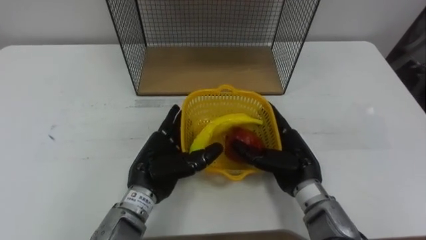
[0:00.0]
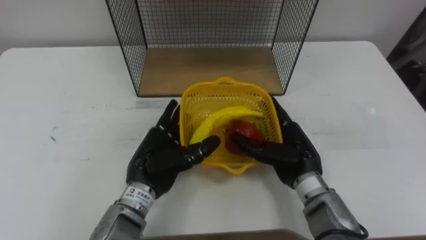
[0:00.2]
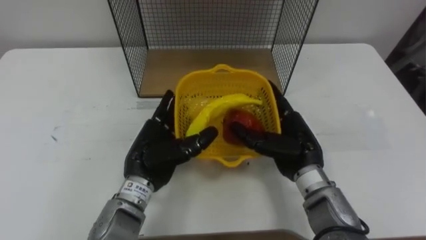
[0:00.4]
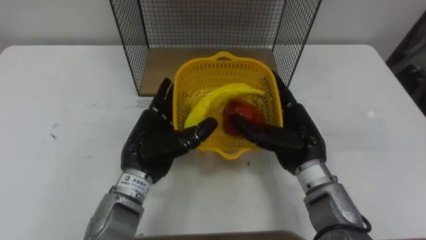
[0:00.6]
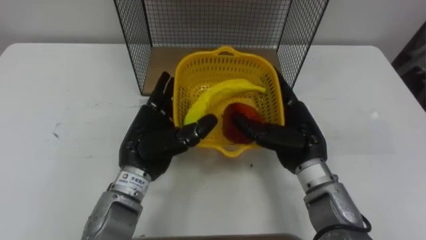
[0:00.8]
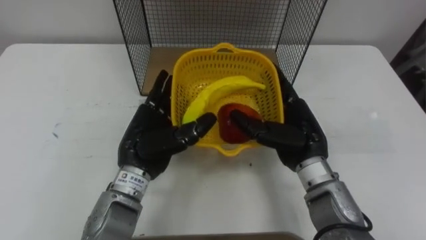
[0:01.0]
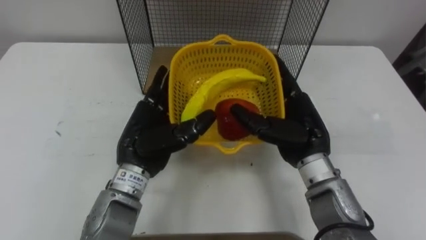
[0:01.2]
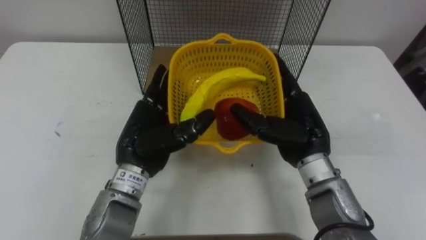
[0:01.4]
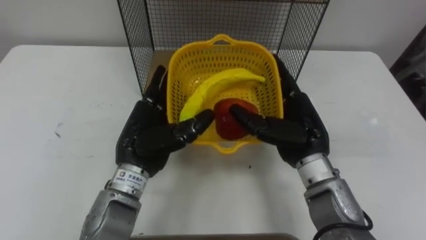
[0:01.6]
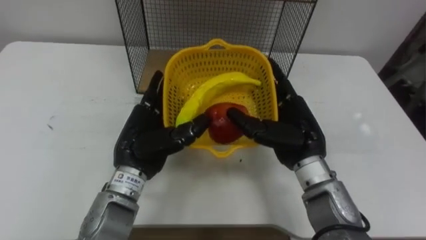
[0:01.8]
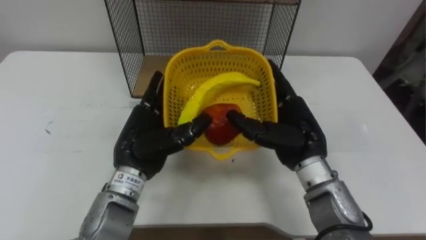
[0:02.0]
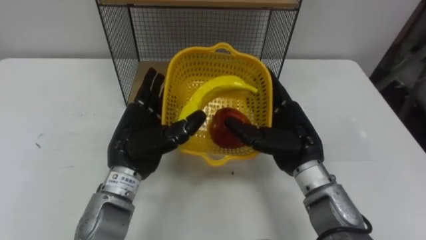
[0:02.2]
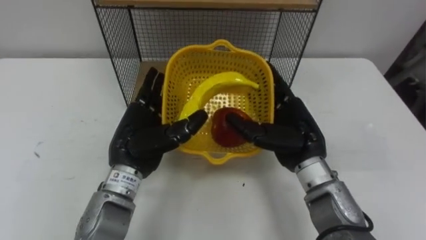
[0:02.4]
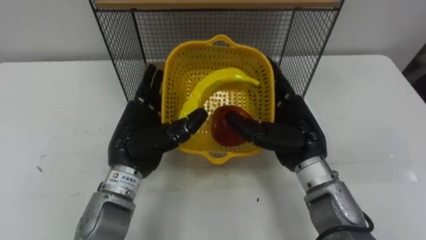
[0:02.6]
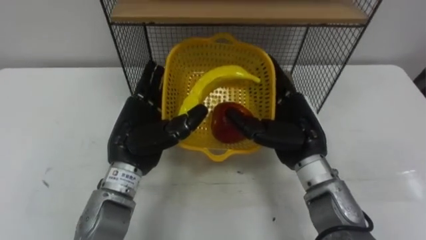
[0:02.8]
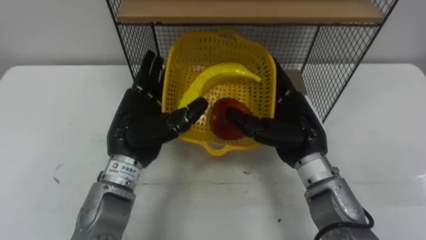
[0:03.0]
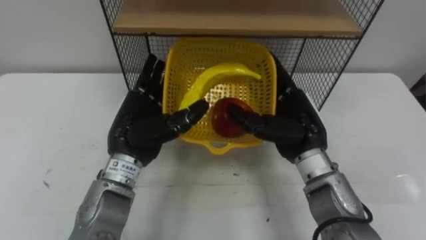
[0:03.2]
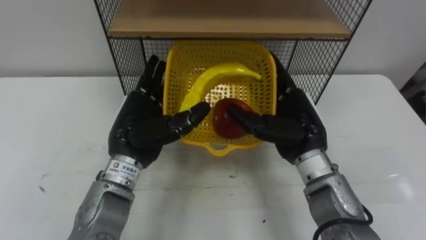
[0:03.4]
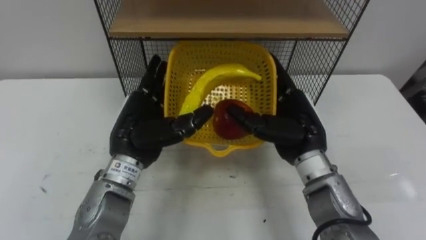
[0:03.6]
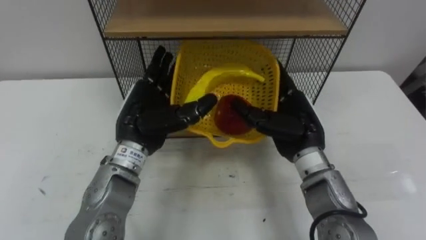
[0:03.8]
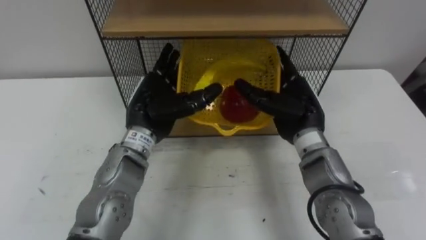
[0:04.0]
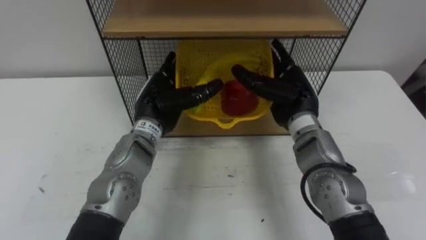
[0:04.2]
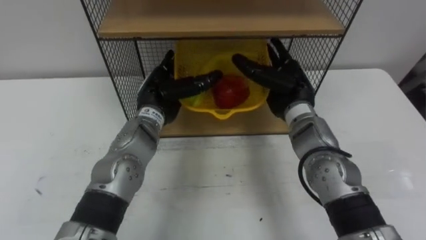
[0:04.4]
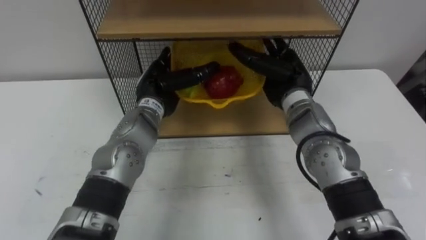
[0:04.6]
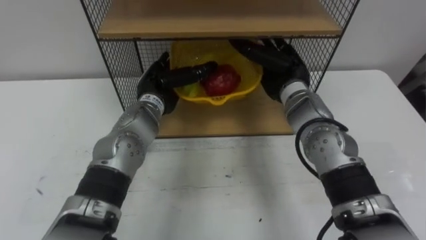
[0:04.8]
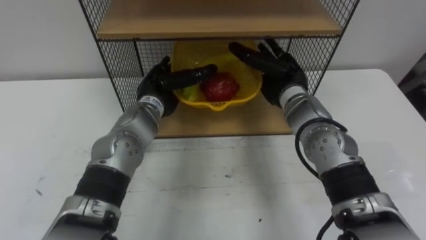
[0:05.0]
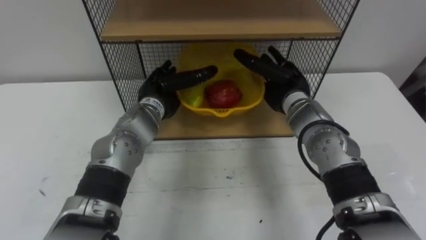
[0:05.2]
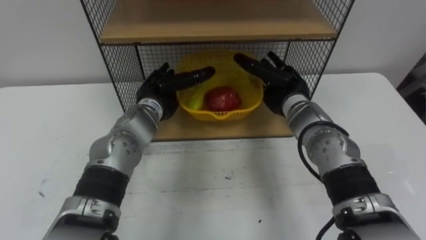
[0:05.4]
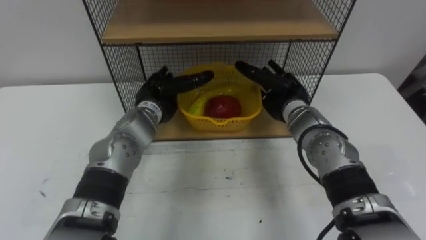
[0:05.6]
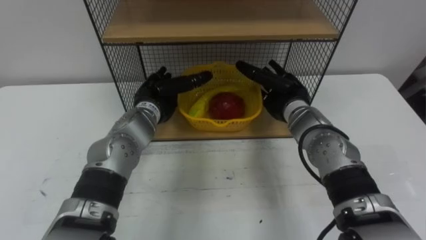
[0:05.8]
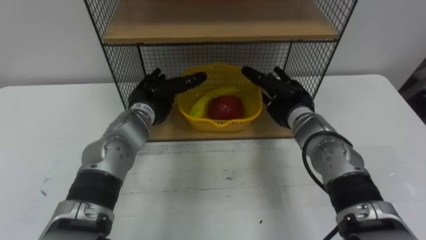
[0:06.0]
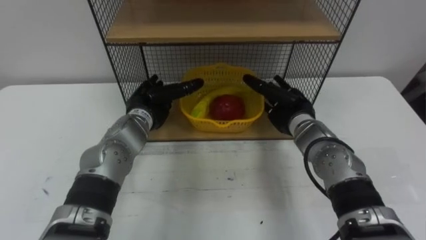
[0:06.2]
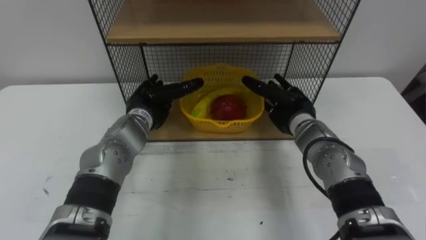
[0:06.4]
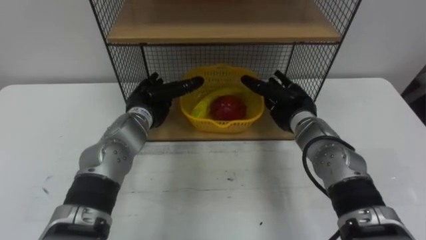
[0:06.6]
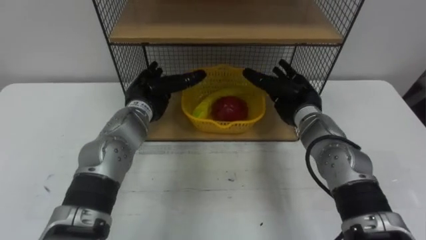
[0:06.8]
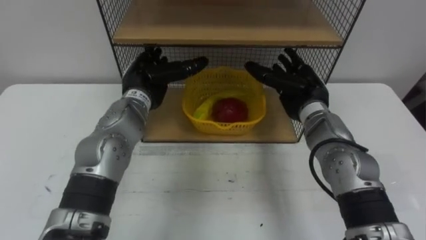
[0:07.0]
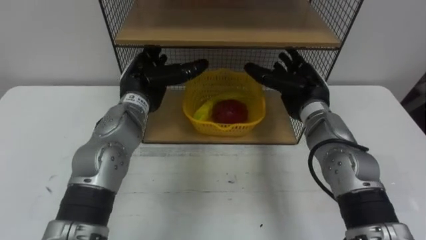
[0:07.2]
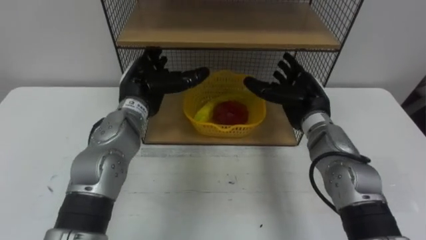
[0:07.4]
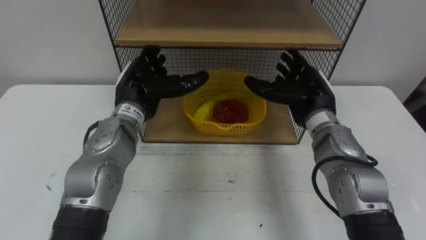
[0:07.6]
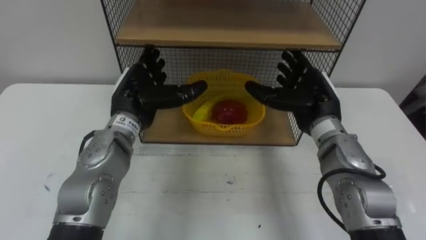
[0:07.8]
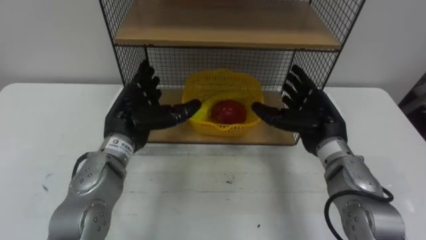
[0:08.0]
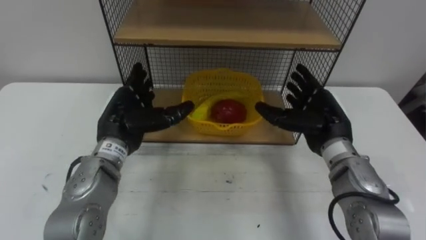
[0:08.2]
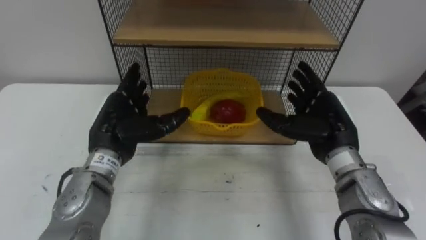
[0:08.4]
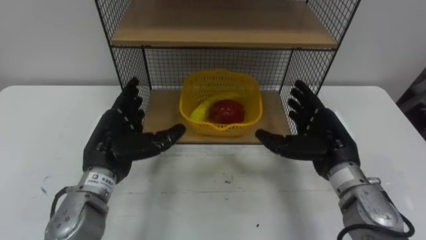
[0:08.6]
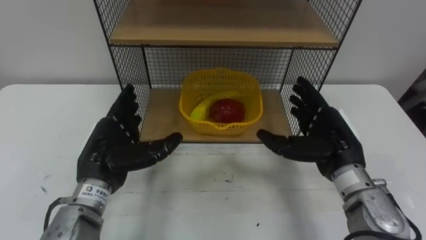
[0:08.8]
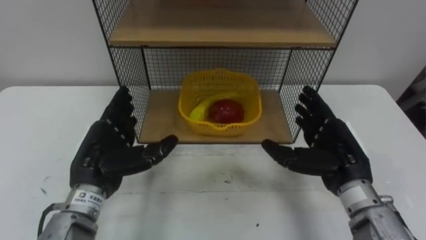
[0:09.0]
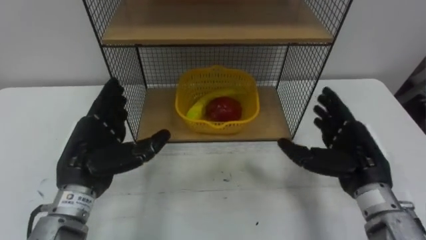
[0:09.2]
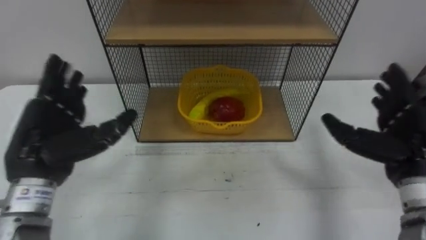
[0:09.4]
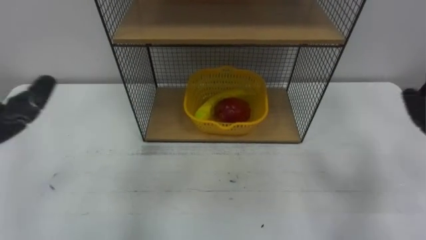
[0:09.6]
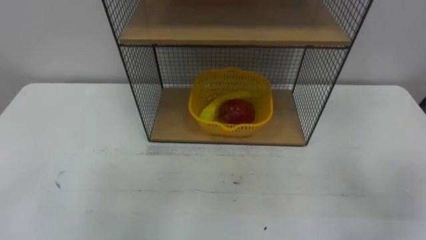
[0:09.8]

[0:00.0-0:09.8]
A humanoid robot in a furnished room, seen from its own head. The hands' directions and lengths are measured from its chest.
Task of the whole recording: Put the fruit on the table into the basket, then place the basket on the shelf.
0:00.0 to 0:01.4: The hands both shift upward by roughly 5 cm.
0:02.8 to 0:04.2: The hands both shift forward by about 10 cm.
0:04.2 to 0:05.6: The right hand ends up approximately 5 cm from where it was.
0:07.0 to 0:08.4: The hands both shift backward by about 10 cm.

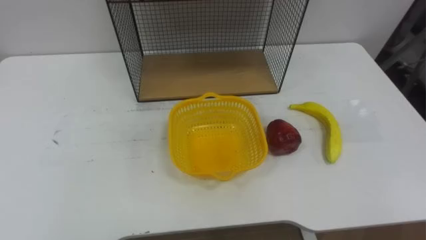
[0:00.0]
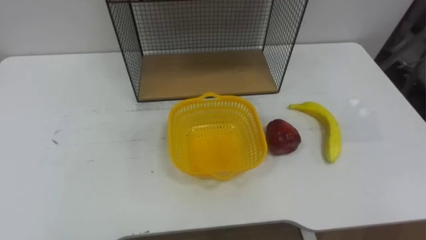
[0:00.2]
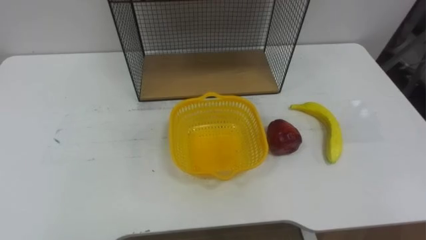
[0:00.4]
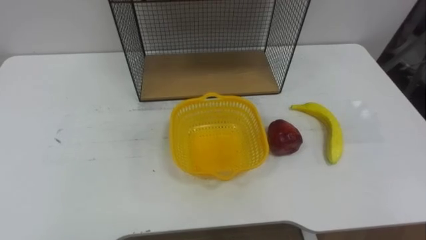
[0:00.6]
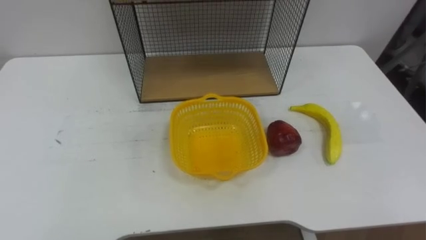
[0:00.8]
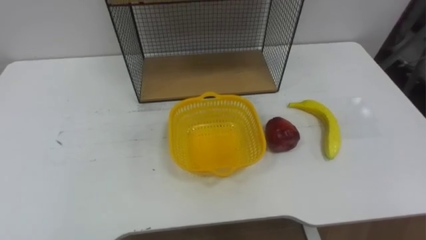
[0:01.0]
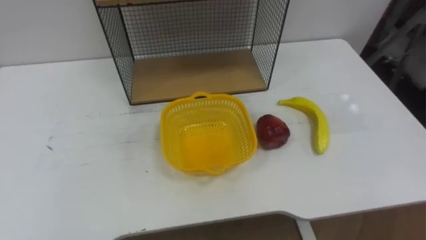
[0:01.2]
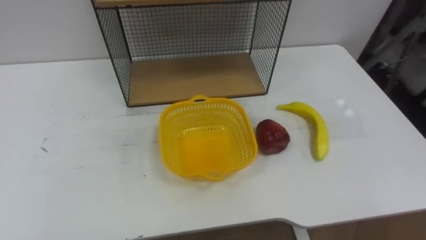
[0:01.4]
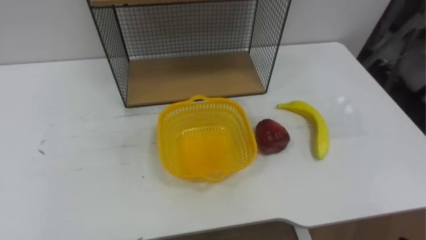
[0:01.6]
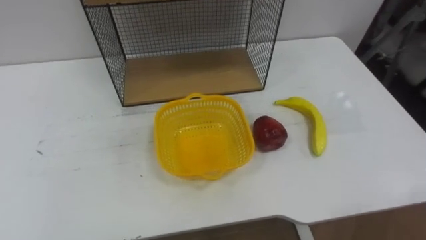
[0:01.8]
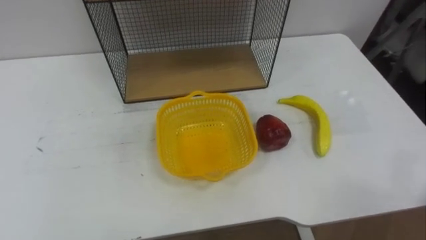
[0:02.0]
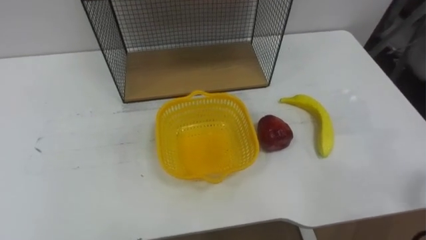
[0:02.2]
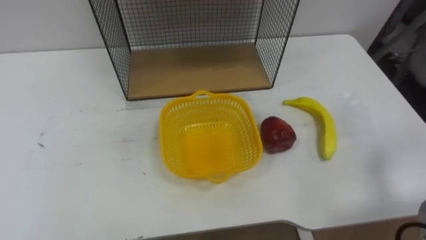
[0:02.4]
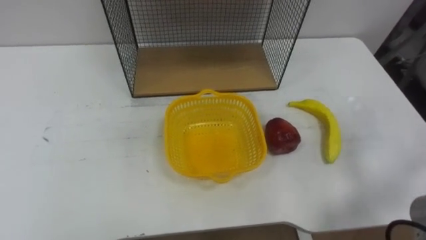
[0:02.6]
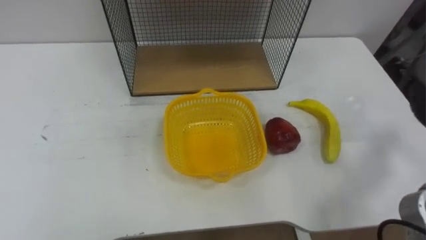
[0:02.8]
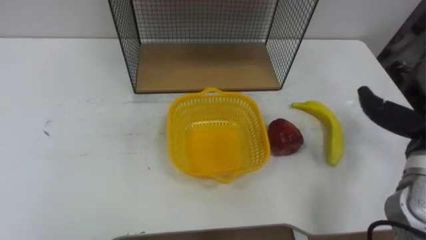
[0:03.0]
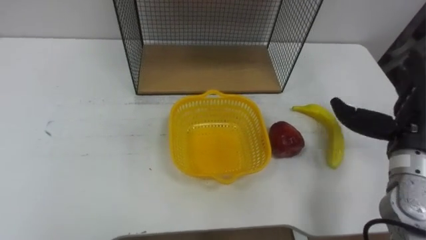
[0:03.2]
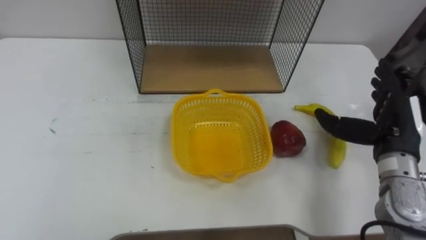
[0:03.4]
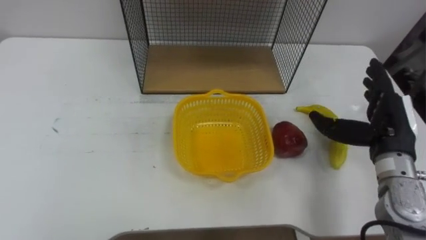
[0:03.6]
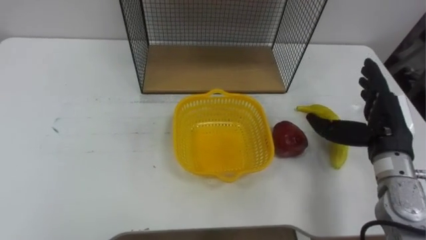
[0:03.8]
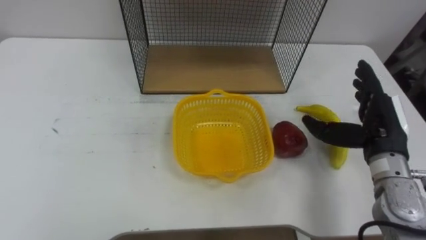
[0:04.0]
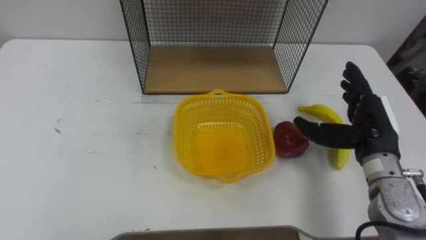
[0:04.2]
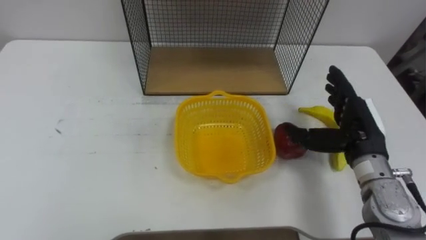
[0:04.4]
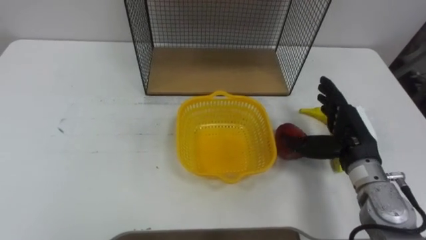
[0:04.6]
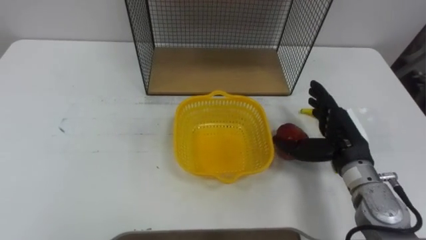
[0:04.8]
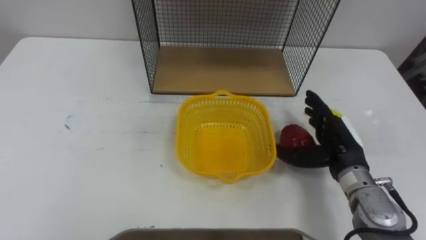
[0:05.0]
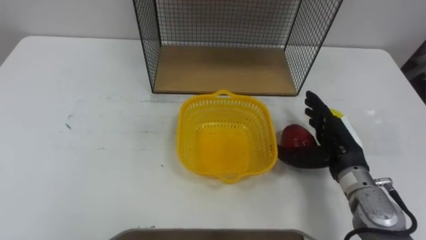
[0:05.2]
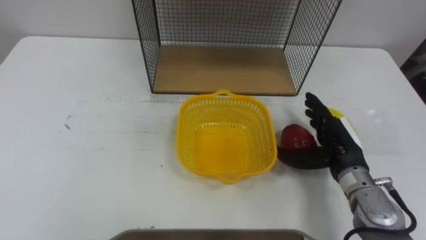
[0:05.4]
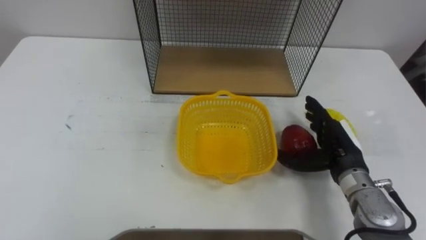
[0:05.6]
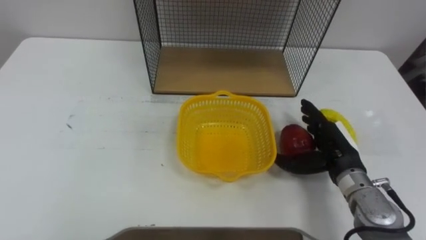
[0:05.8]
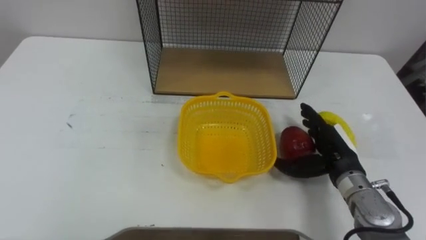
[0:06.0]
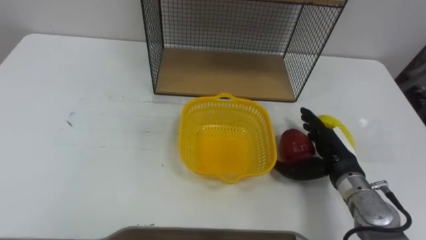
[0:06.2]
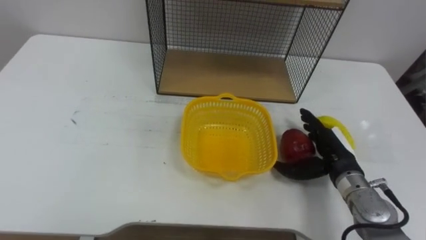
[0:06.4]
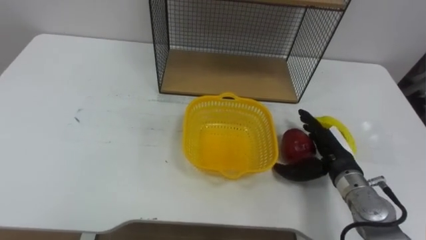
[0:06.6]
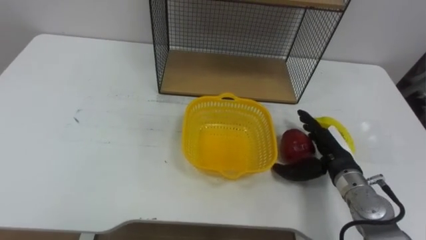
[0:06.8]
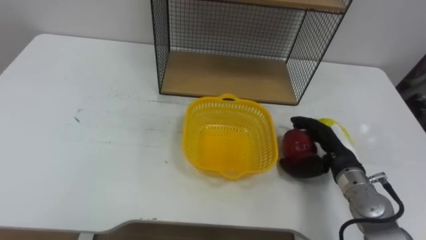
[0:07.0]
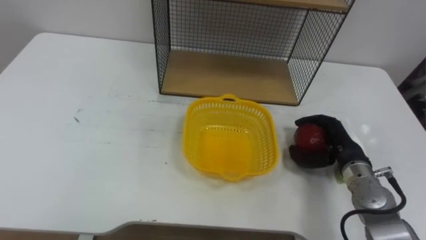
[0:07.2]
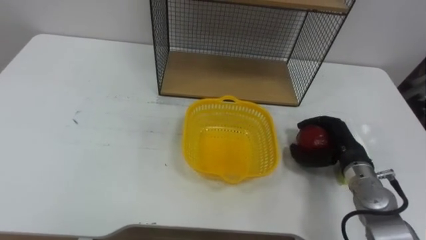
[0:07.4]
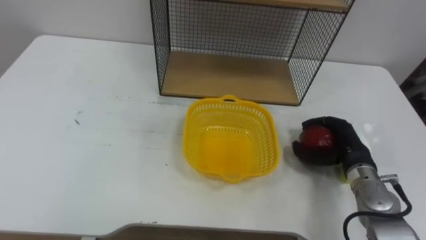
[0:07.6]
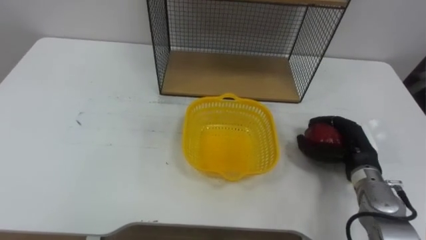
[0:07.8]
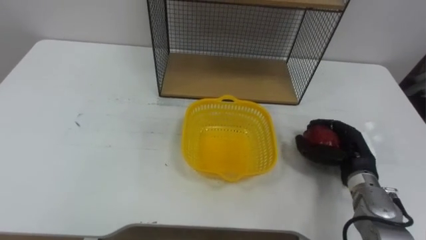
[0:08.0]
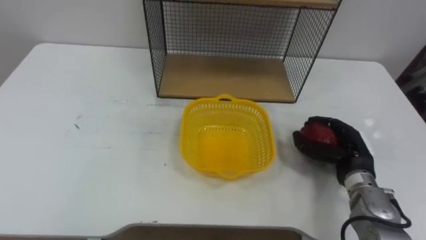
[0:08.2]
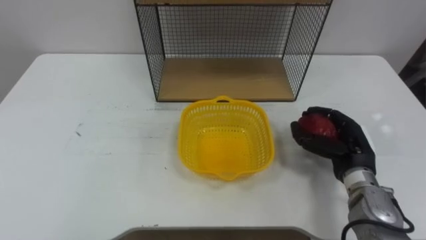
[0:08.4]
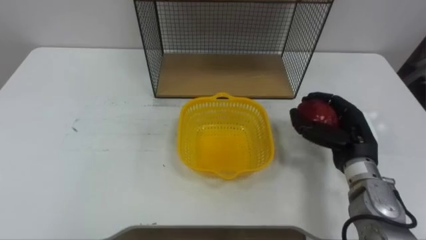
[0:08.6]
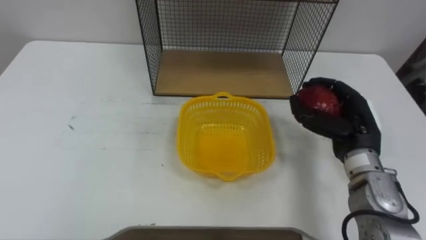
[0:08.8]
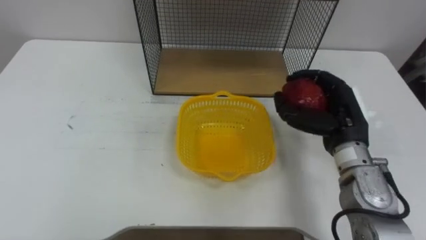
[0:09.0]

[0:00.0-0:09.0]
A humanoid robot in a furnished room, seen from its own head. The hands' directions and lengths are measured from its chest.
Task of the whole recording: Put the fruit on the table into the basket, then place the basket on the shelf.
0:04.4 to 0:06.0: The right hand heads downward, covering roughly 5 cm.
0:06.0 to 0:07.6: The right hand closes.
0:07.6 to 0:09.0: The right hand is displaced upward and to the left by about 10 cm.
